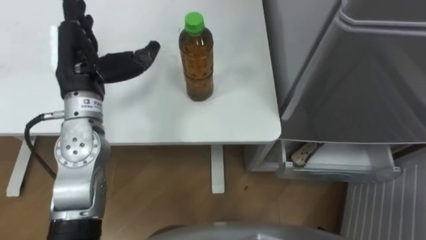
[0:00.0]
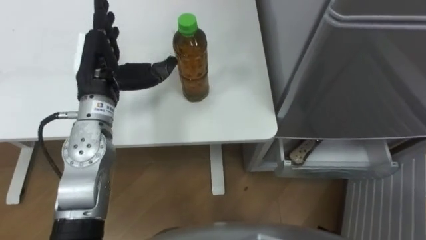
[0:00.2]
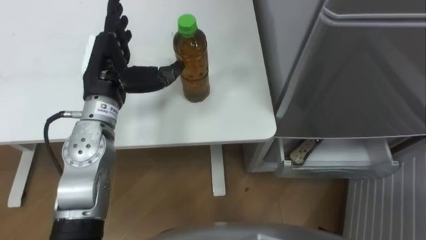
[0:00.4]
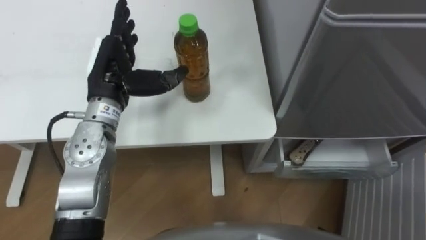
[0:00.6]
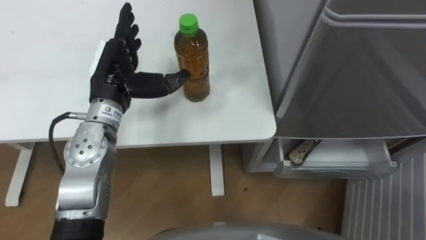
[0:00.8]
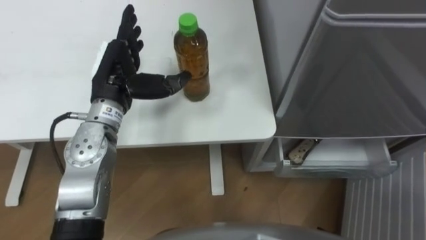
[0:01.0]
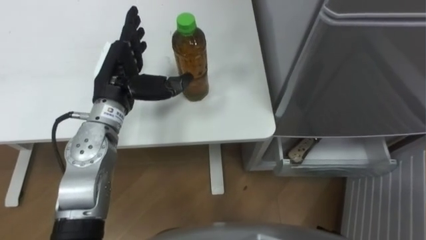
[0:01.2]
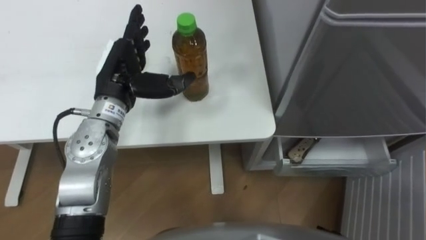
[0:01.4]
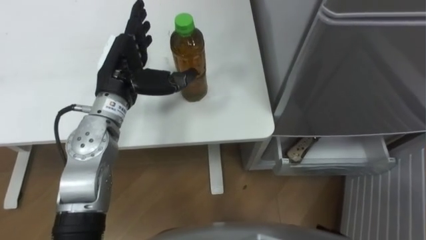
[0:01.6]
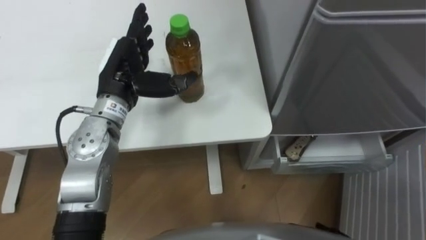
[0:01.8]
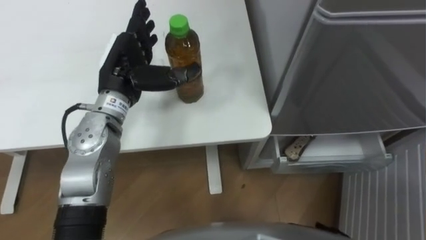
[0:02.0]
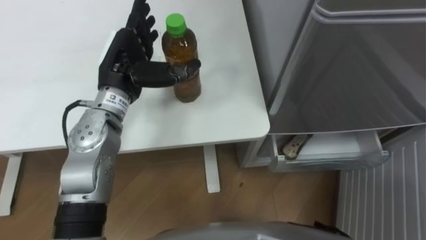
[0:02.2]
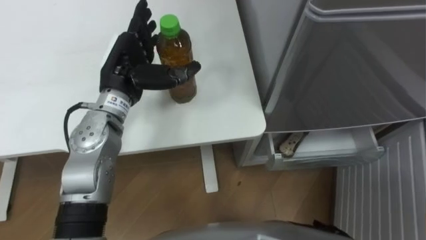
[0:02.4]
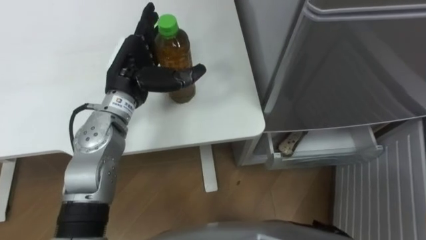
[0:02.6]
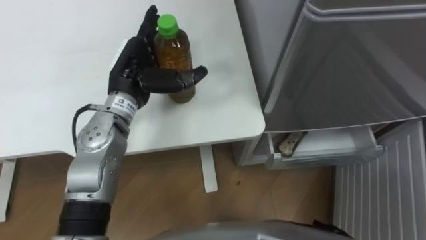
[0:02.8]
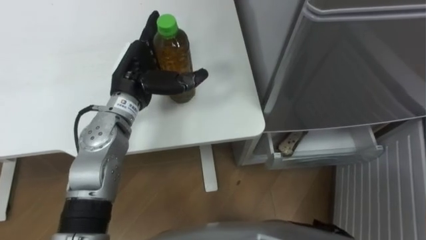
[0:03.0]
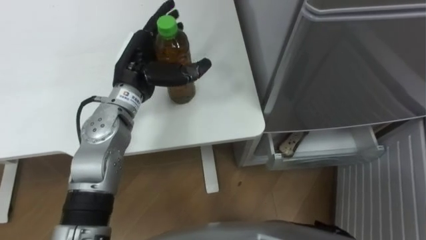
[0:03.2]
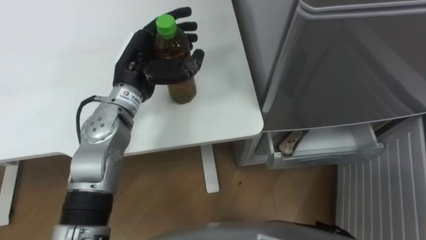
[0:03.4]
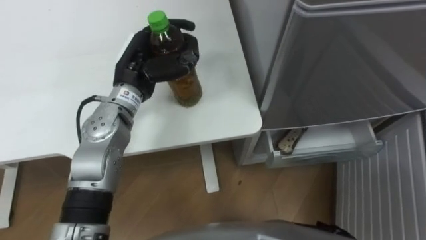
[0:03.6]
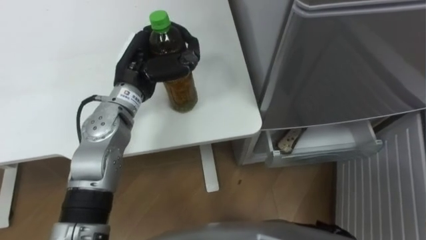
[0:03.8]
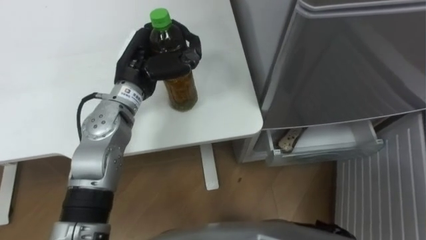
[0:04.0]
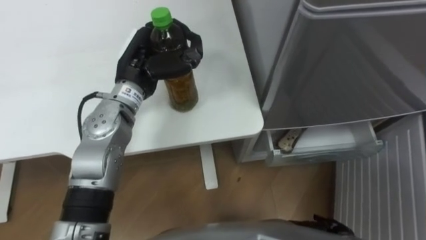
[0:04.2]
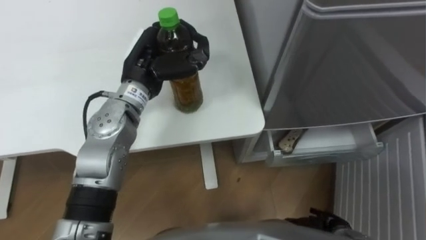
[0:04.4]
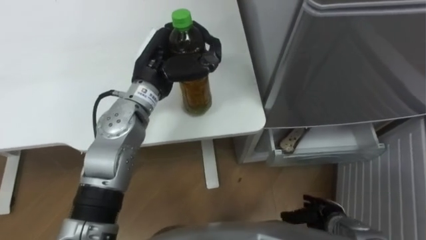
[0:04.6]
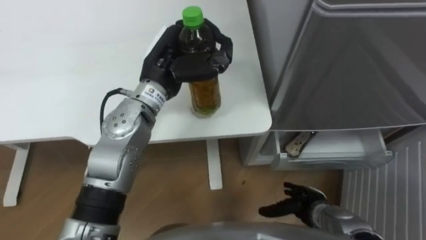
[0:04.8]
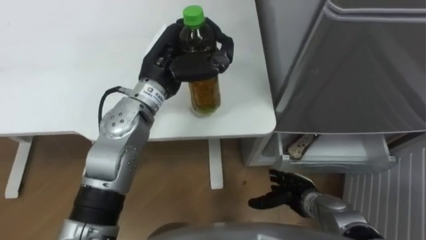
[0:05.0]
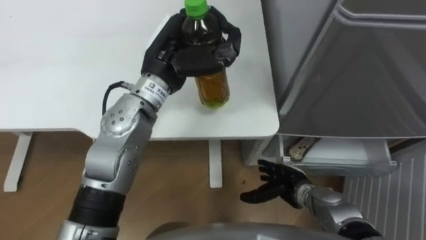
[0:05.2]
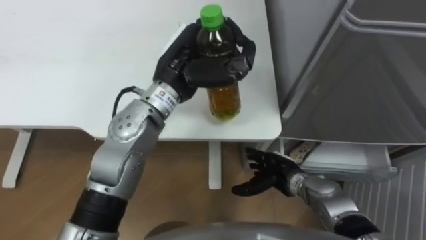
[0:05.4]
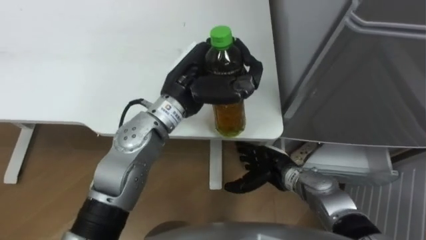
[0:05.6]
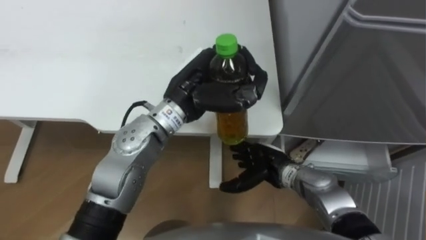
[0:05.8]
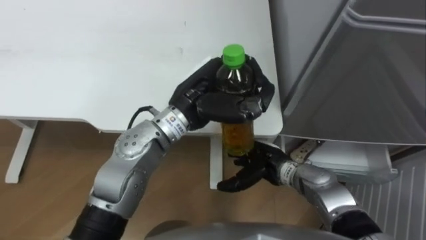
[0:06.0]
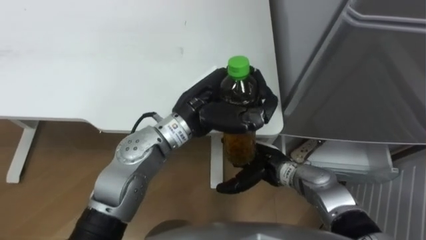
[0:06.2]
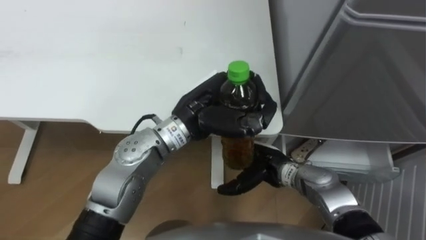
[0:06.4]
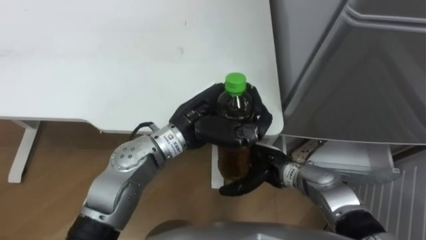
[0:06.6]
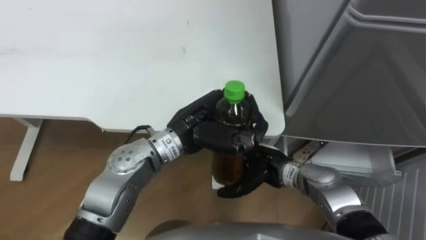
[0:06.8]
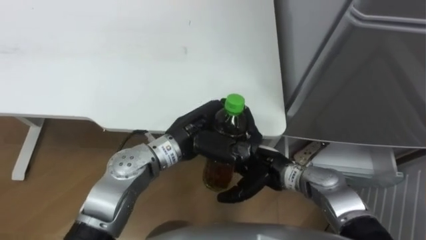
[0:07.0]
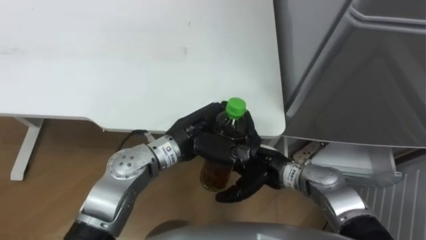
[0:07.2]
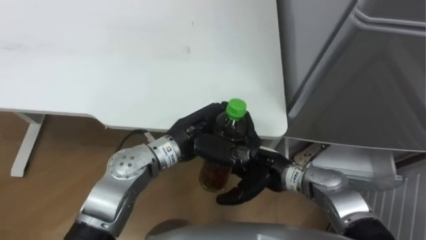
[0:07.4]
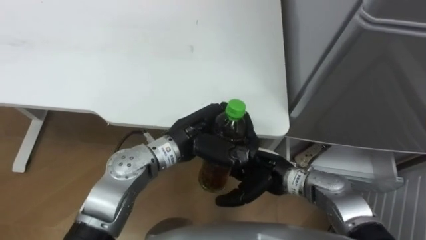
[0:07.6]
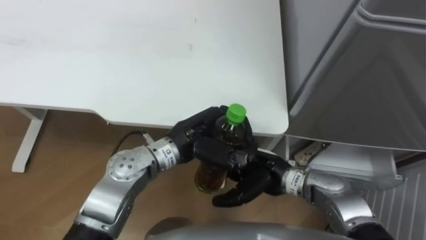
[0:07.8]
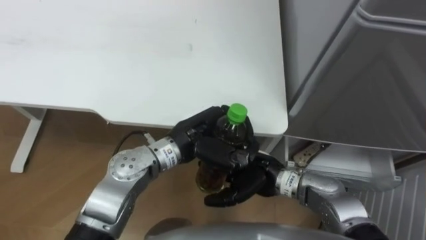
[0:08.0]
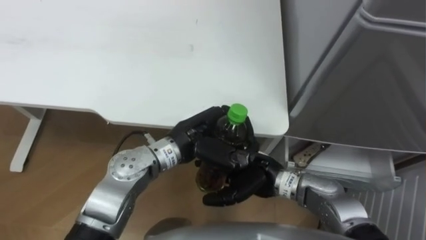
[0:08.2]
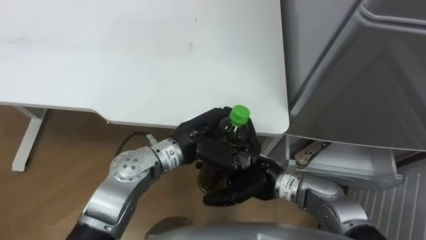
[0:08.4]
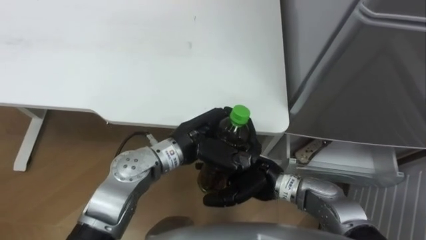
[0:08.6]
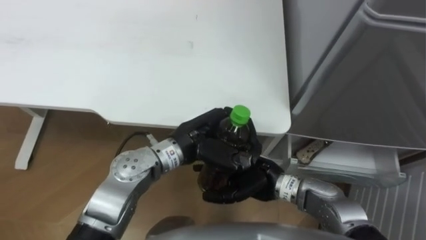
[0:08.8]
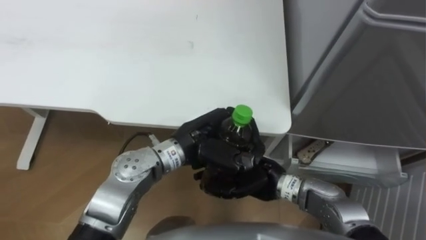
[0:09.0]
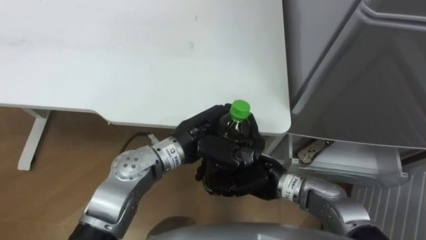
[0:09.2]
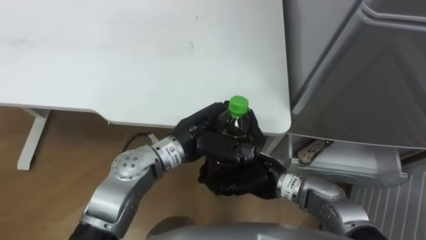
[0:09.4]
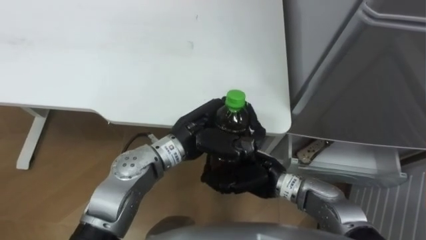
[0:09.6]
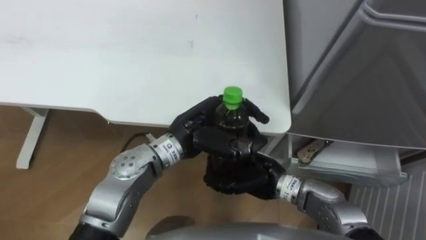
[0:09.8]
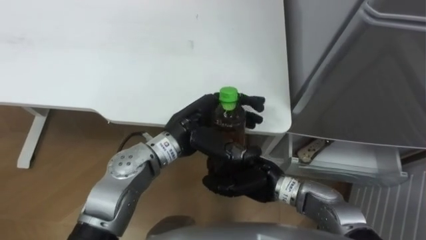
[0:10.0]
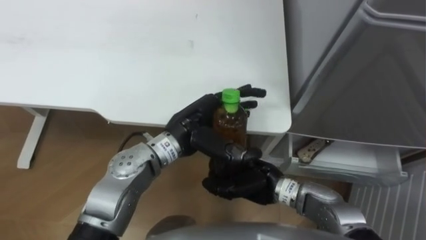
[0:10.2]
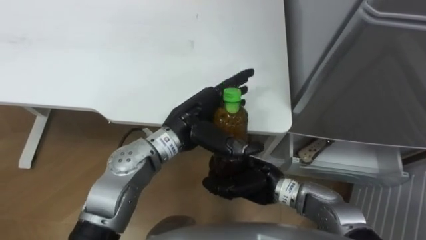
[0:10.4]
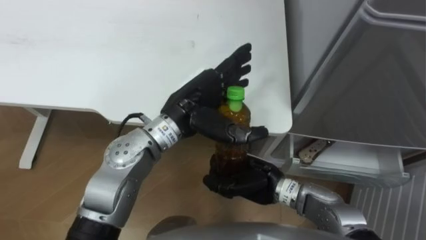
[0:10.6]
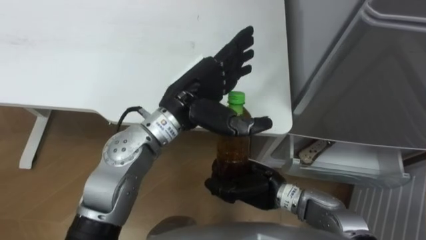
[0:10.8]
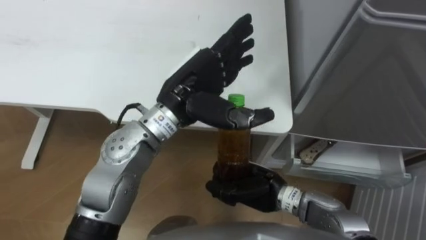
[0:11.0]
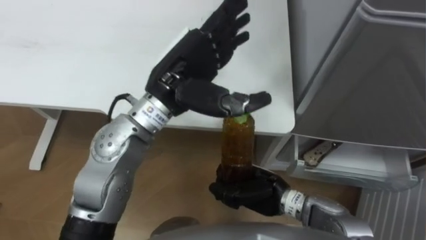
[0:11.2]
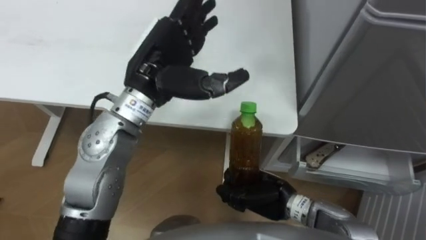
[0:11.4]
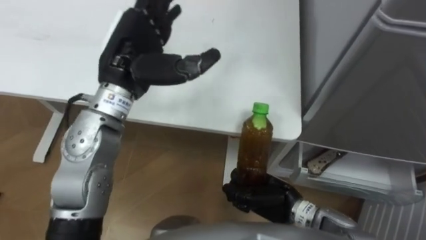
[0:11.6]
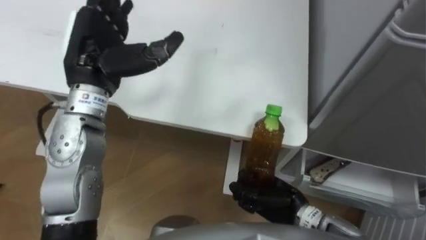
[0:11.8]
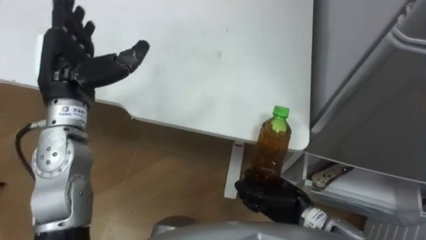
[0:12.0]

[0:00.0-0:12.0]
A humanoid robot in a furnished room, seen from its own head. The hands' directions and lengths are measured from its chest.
Task of the whole recording: Place the drink on the table on the bottom shelf of the refrigerator, then close the drawer and the refrigerator door.
0:00.0 to 0:01.6: The left hand is displaced to the right by about 5 cm.
0:03.0 to 0:04.4: The left hand closes its fingers.
0:04.4 to 0:06.0: The left hand is displaced to the right and backward by about 10 cm; the right hand is displaced to the left, forward and upward by approximately 25 cm.
0:06.0 to 0:07.6: The left hand moves downward, approximately 5 cm.
0:07.6 to 0:09.0: The hands stay close to where they were, moving slightly.
0:09.0 to 0:10.4: The right hand closes. Meanwhile the left hand opens up.
0:10.4 to 0:12.0: The right hand travels to the right by some 5 cm, while the left hand heads to the left and upward, covering about 20 cm.

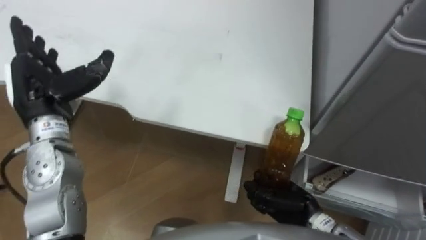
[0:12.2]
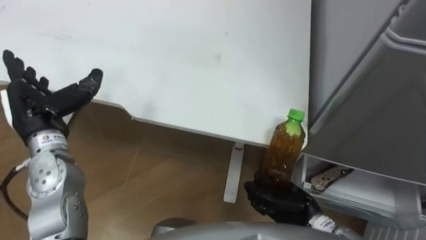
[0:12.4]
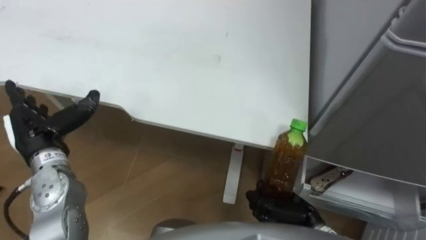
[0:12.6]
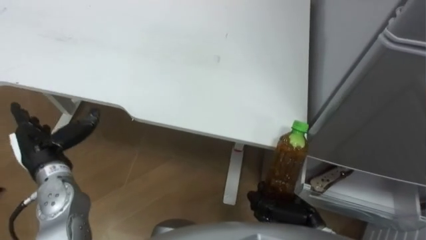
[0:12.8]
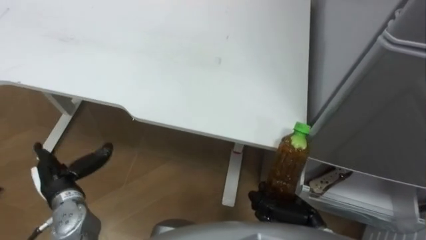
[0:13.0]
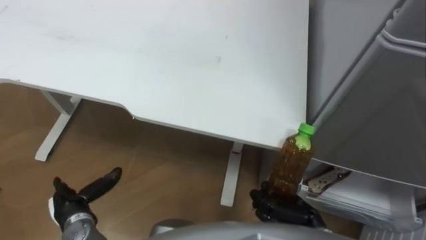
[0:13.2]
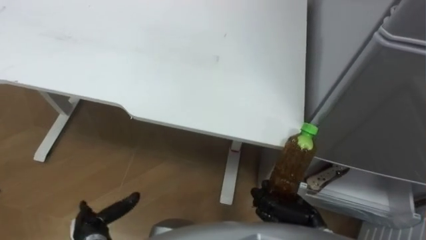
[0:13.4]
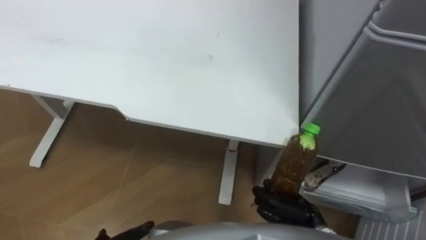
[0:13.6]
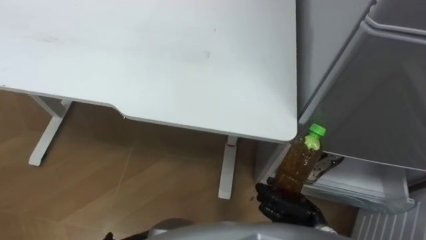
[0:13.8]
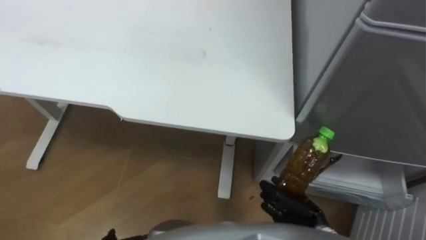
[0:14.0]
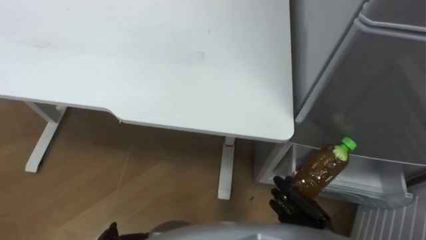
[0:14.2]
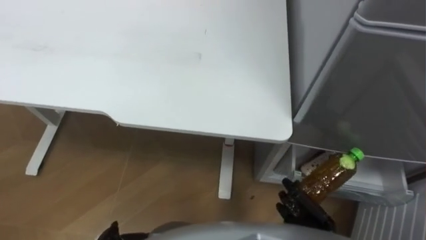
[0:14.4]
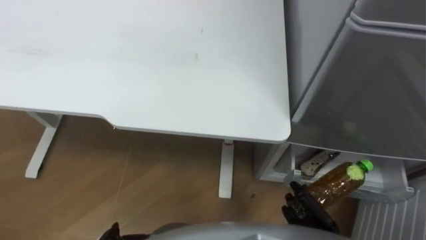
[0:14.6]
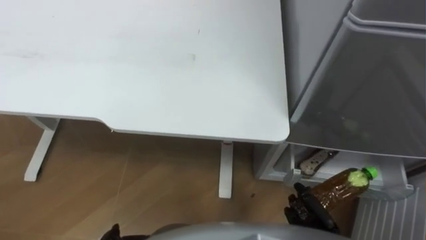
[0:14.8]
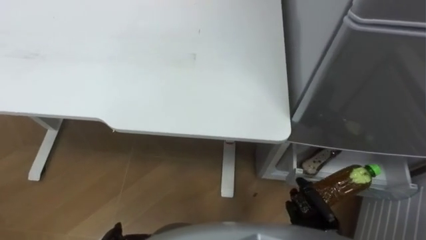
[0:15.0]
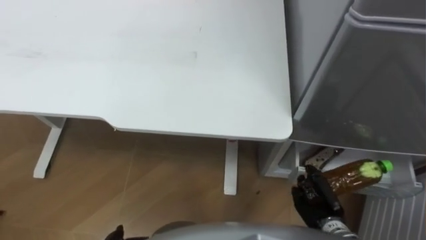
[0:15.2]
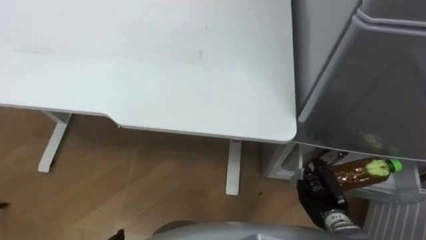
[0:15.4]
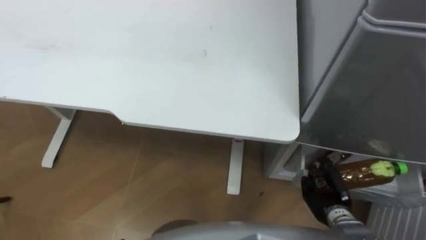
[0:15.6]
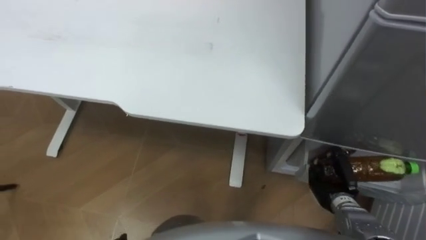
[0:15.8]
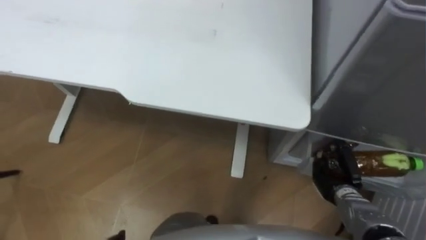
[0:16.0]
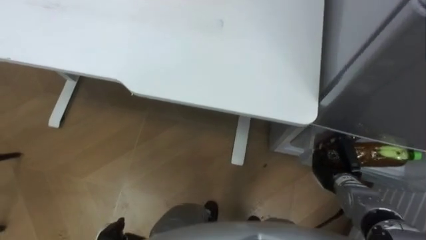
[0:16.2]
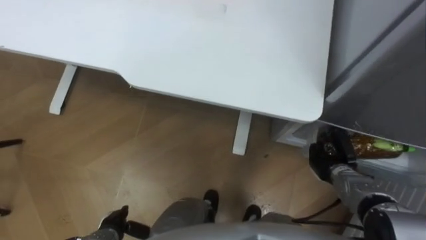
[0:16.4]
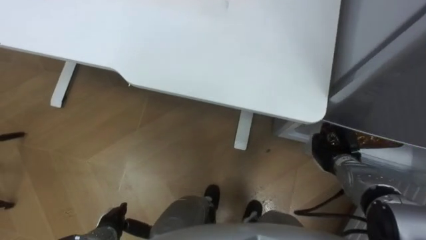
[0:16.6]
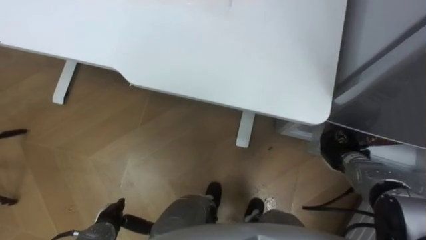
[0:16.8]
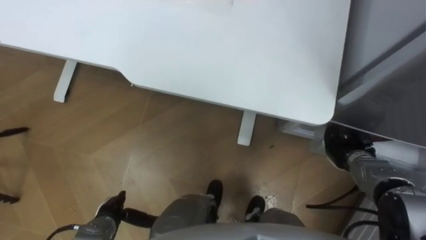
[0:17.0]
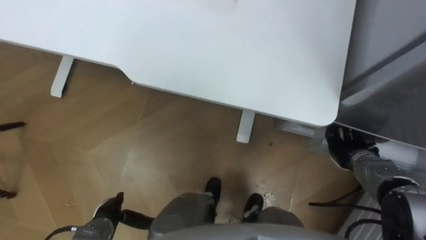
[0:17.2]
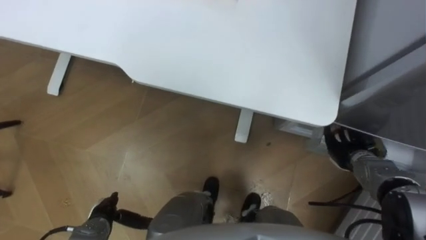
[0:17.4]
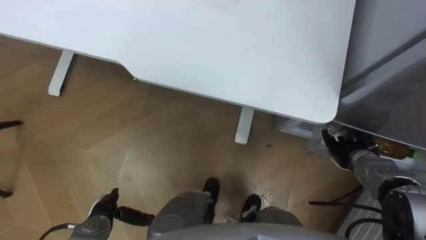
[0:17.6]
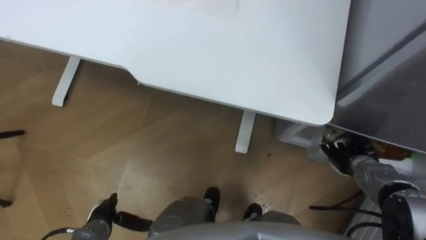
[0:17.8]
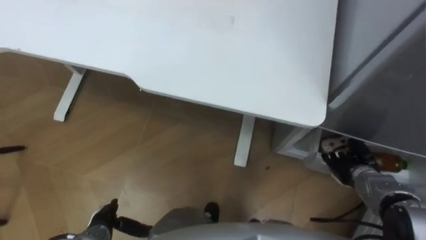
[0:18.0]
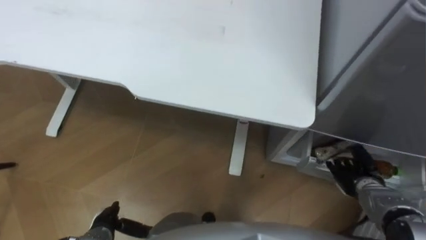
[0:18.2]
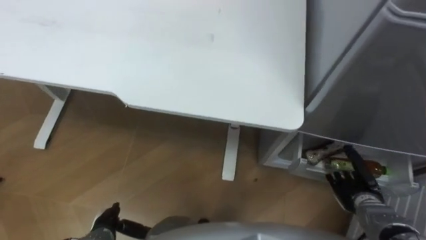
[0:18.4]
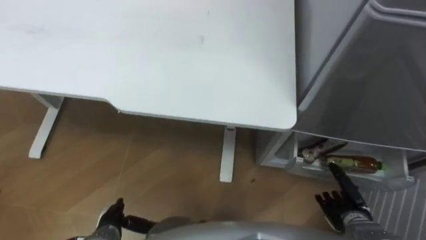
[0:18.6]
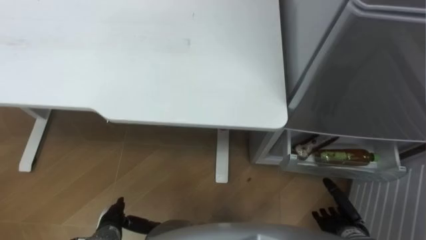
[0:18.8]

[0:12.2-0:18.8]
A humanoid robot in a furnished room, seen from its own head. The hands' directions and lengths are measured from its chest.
Task of the whole recording: Place the drink on the table on the bottom shelf of the refrigerator, then close the drawer and the refrigerator door.
0:13.8 to 0:15.4: The right hand is displaced to the right by about 5 cm.
0:15.4 to 0:17.2: The right hand heads forward and to the right, covering some 15 cm, and opens up.
0:17.2 to 0:18.8: The right hand heads backward, covering some 15 cm, and opens.
